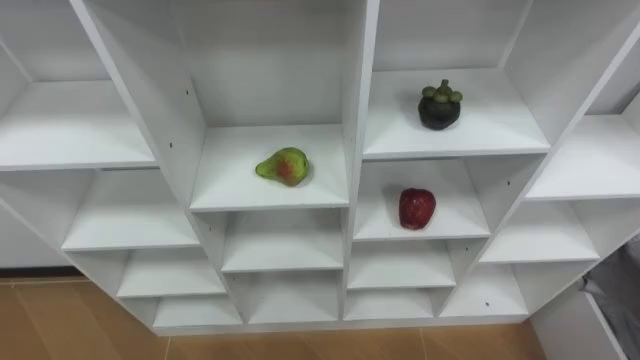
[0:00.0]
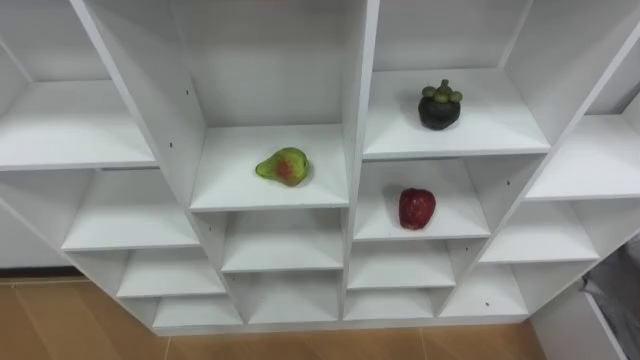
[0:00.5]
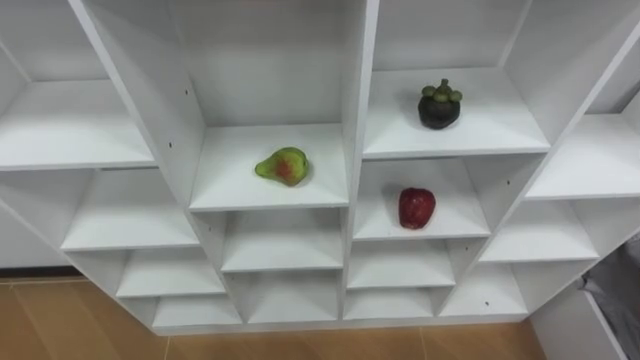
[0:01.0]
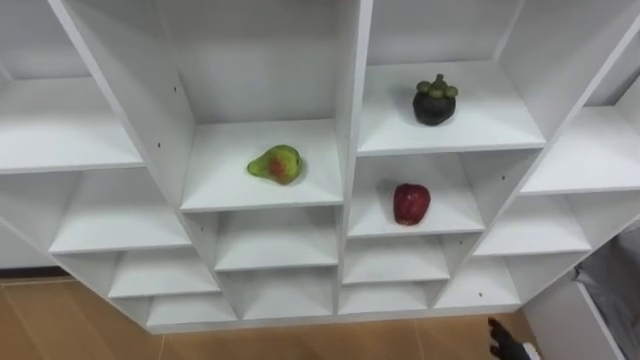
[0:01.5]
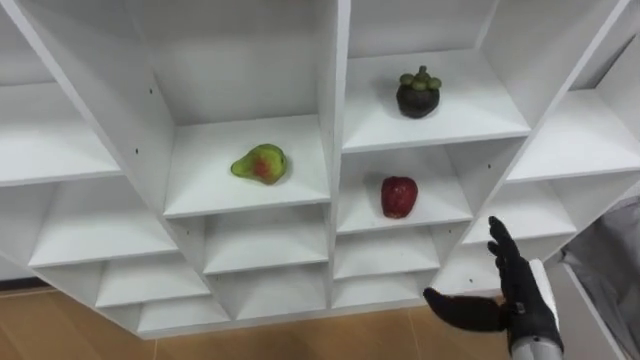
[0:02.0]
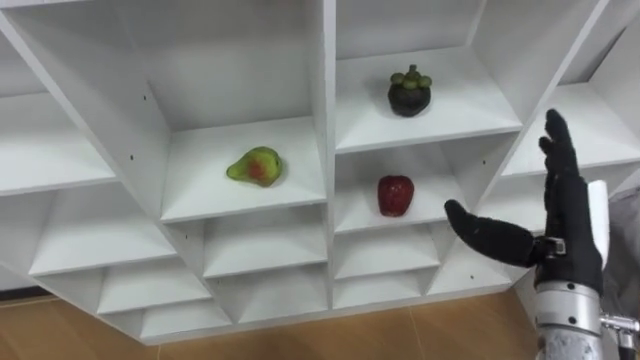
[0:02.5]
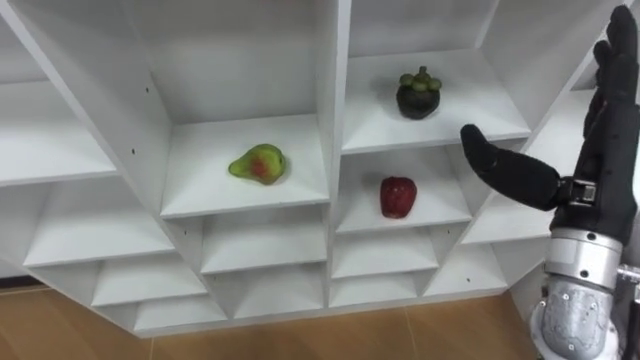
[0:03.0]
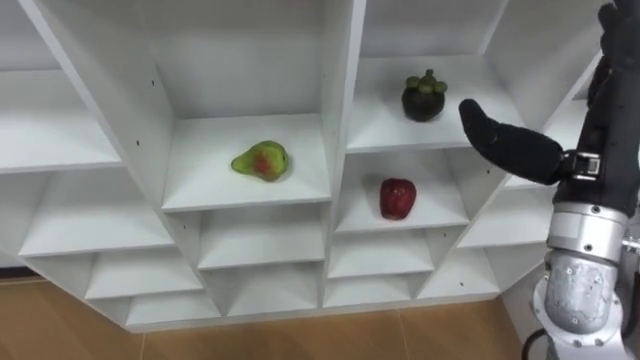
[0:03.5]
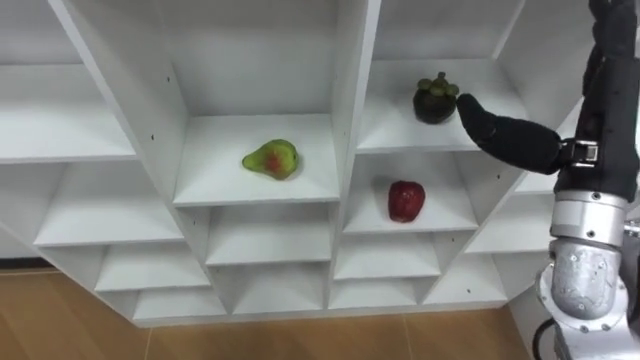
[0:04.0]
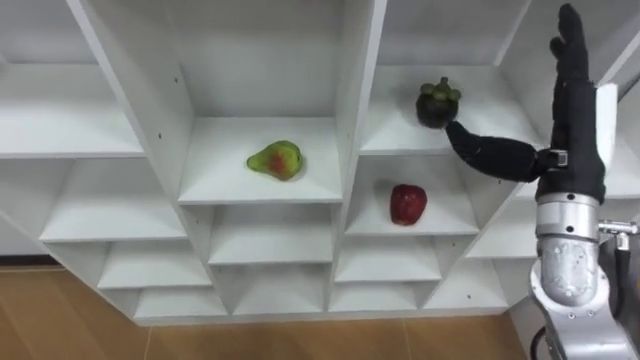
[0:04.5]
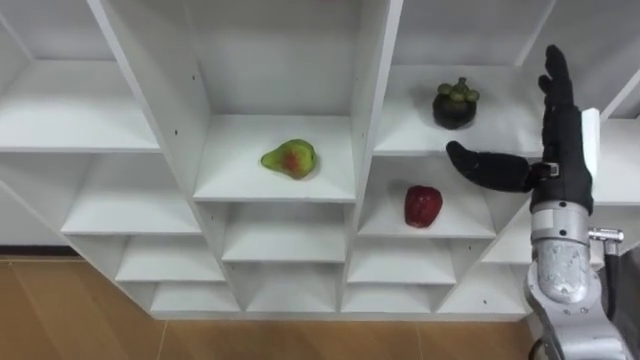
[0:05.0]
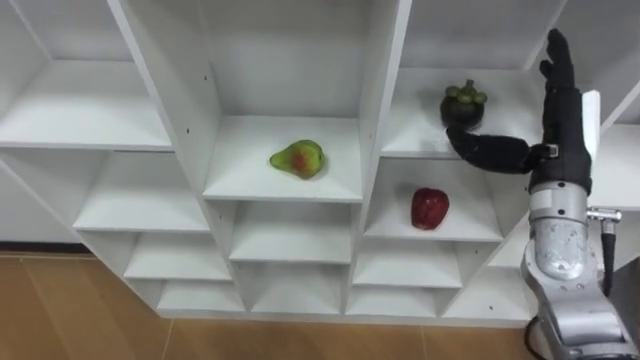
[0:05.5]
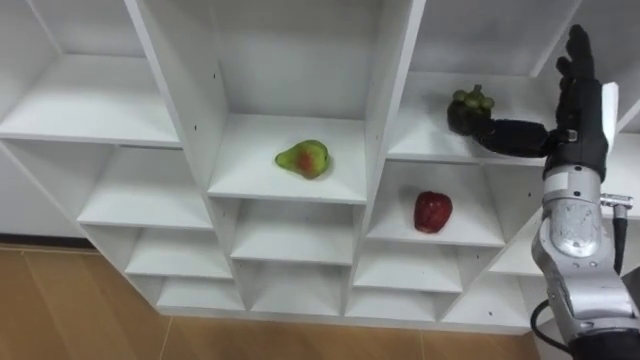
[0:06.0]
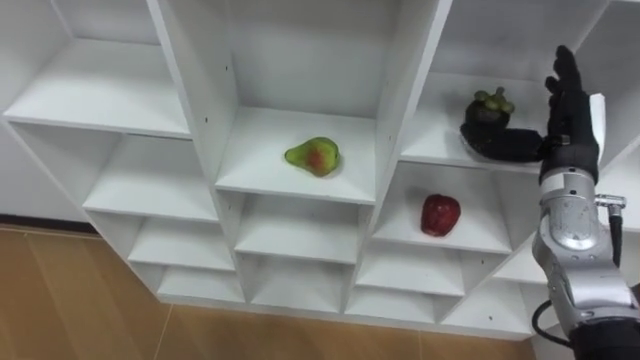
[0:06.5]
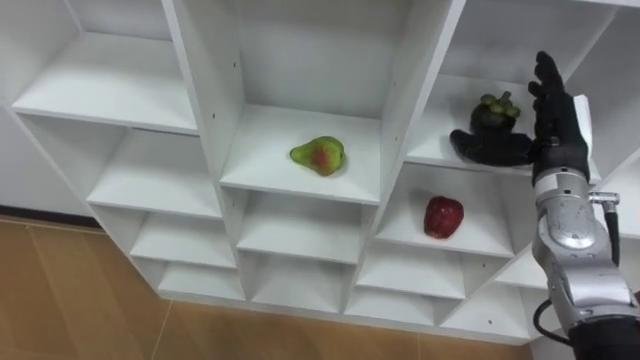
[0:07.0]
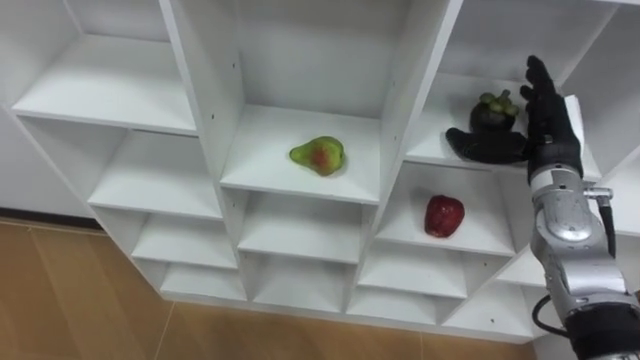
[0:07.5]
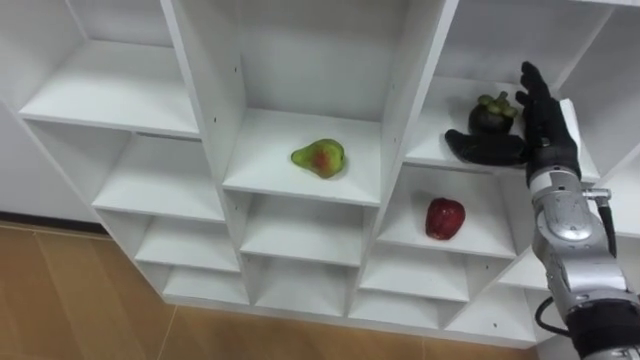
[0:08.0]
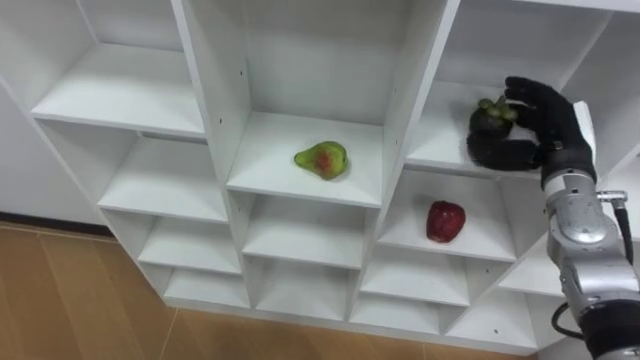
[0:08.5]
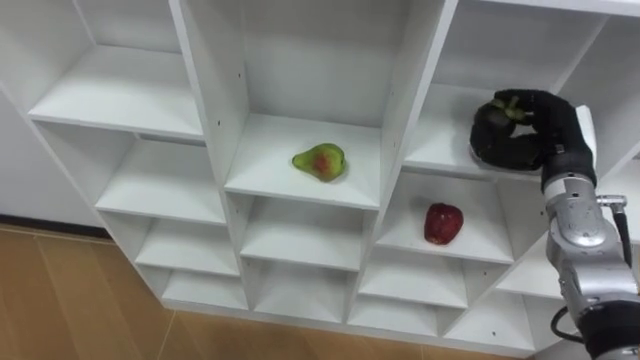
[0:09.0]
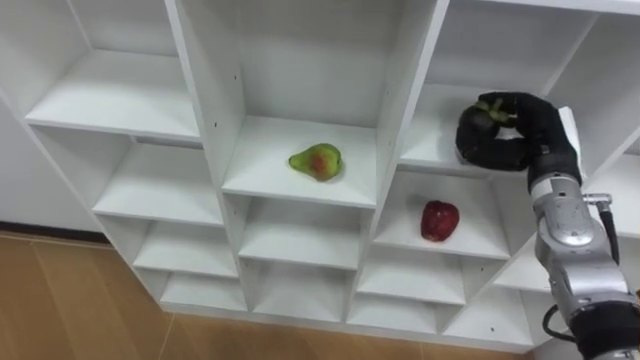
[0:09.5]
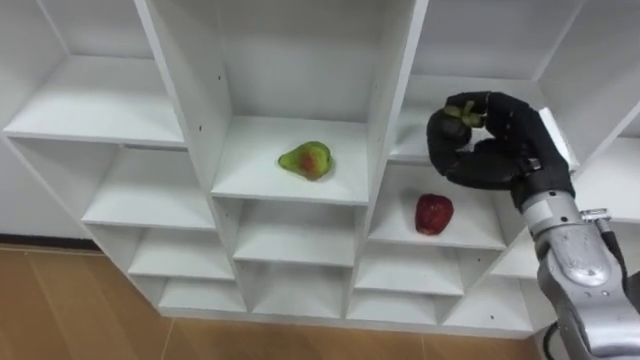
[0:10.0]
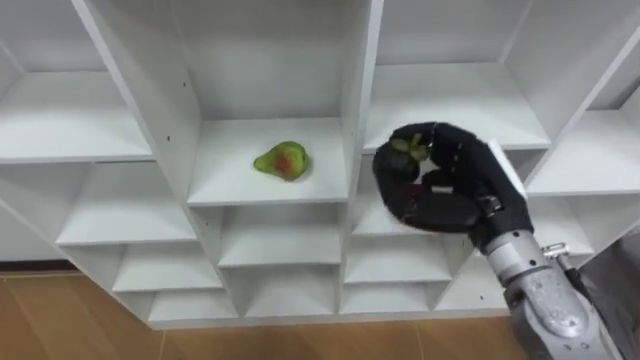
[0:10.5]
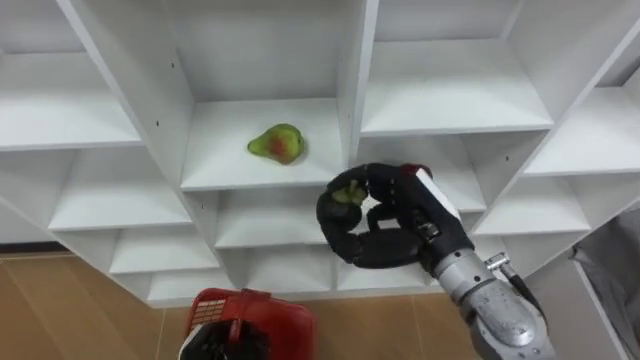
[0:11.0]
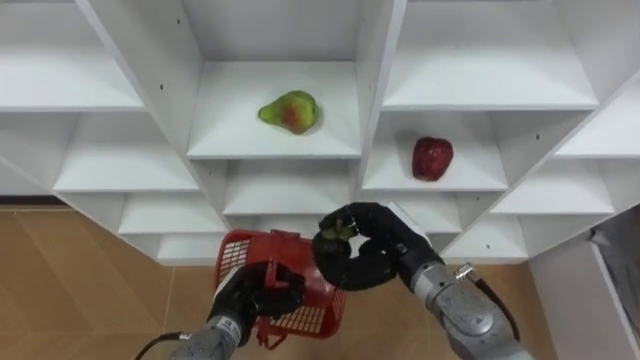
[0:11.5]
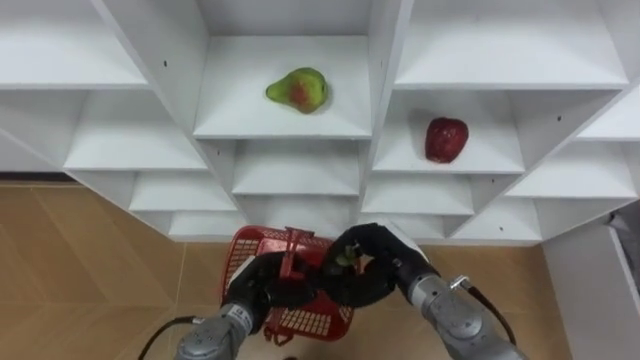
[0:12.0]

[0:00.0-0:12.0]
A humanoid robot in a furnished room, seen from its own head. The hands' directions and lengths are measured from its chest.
Task of the whole recording: Hold the basket and collect the fruits from 3 different cells of the closet into it.
0:02.0 to 0:04.0: The right hand travels upward by some 25 cm.
0:04.0 to 0:06.0: The right hand is displaced downward and forward by some 10 cm.
0:06.0 to 0:08.0: The right hand moves roughly 5 cm.
0:08.0 to 0:10.0: The right hand changes place by some 5 cm, and closes its fingers.
0:10.0 to 0:12.0: The right hand is displaced to the left and downward by approximately 20 cm.

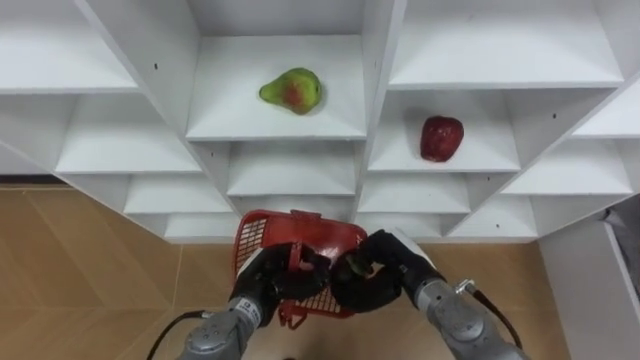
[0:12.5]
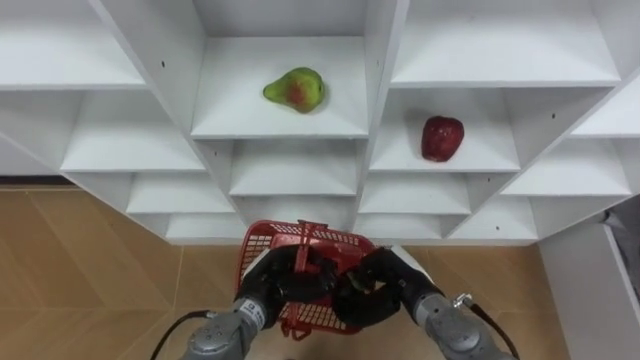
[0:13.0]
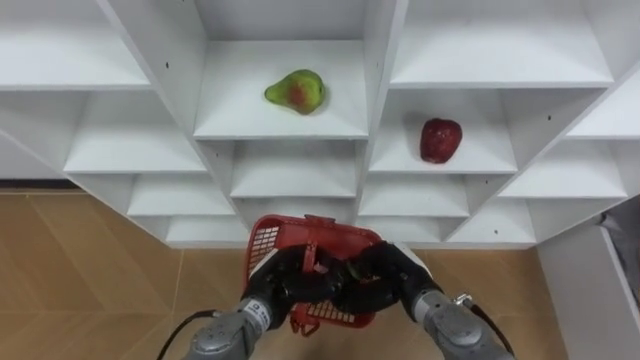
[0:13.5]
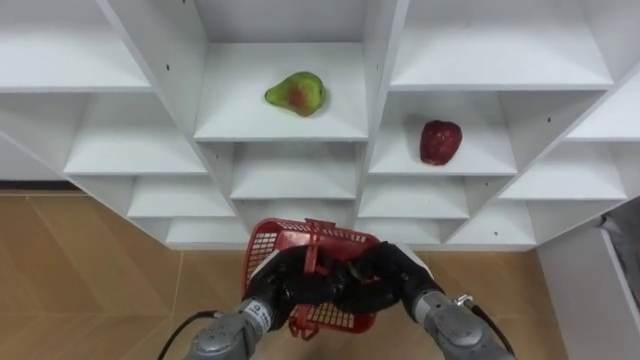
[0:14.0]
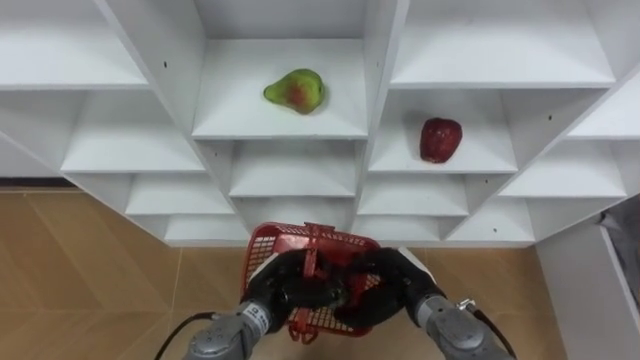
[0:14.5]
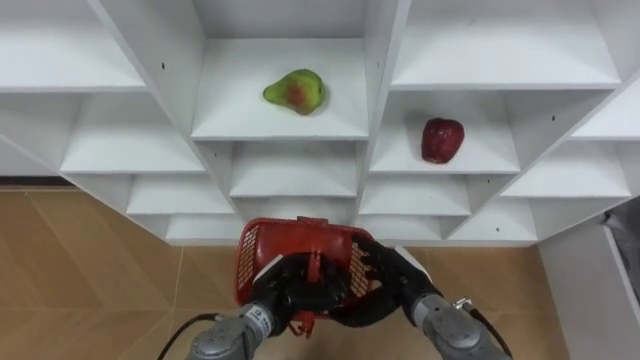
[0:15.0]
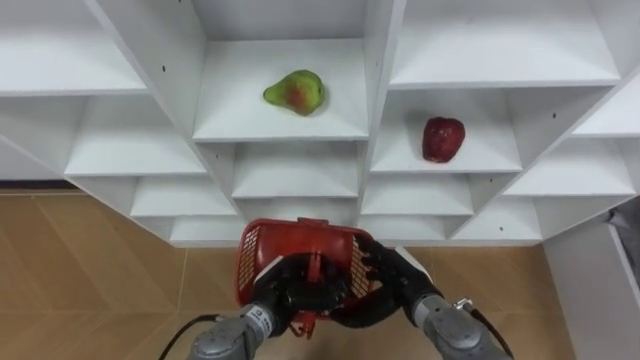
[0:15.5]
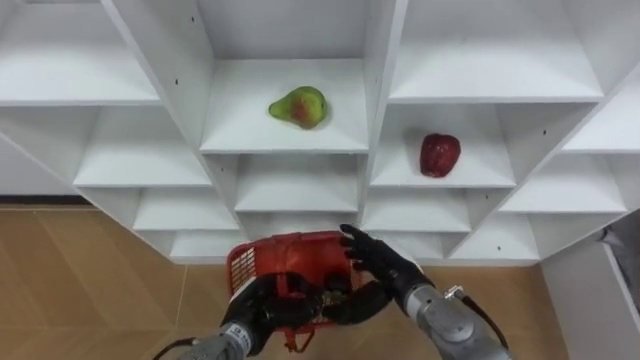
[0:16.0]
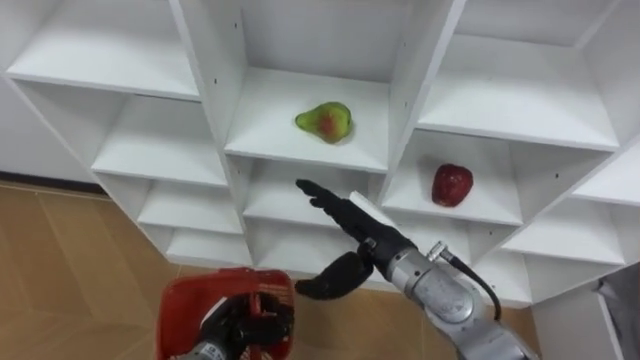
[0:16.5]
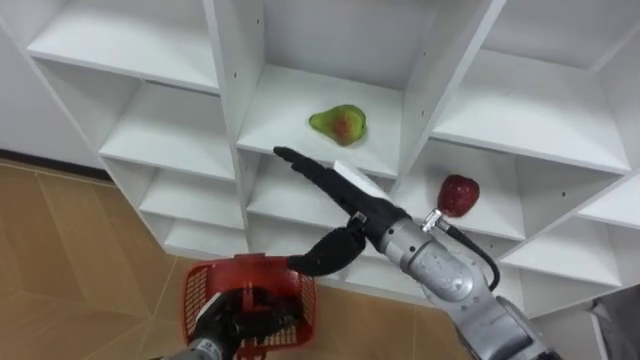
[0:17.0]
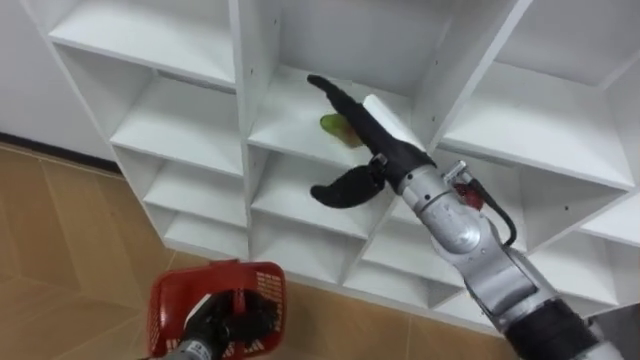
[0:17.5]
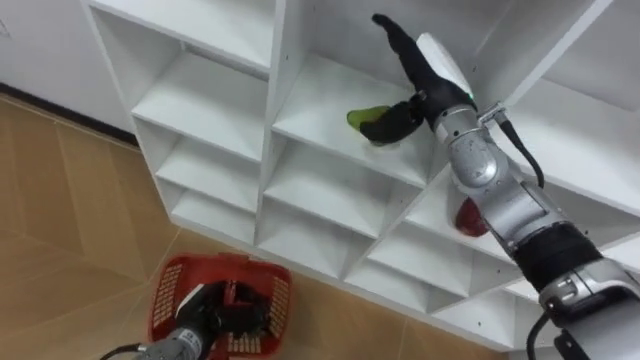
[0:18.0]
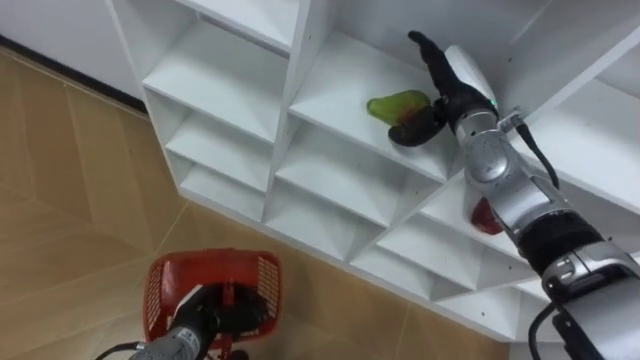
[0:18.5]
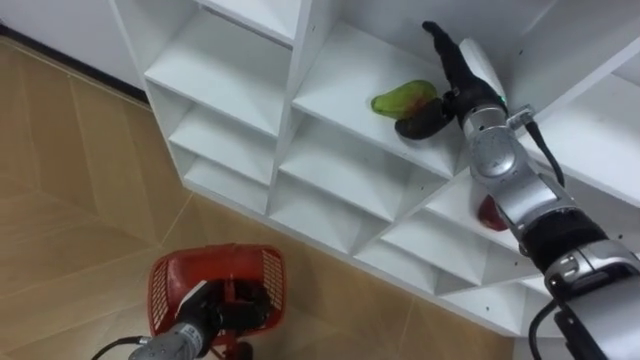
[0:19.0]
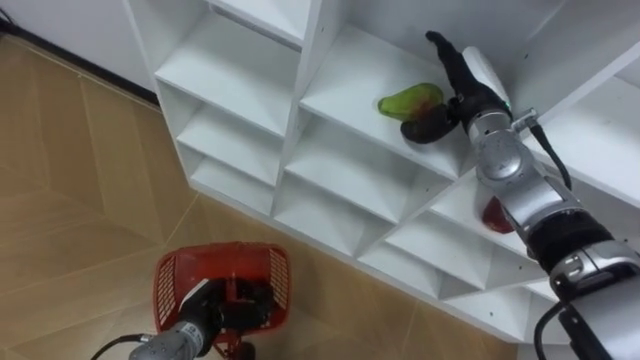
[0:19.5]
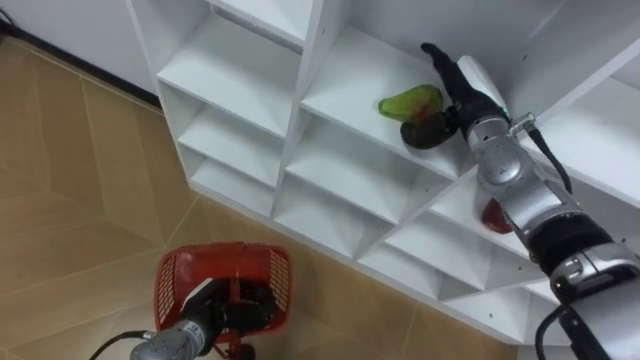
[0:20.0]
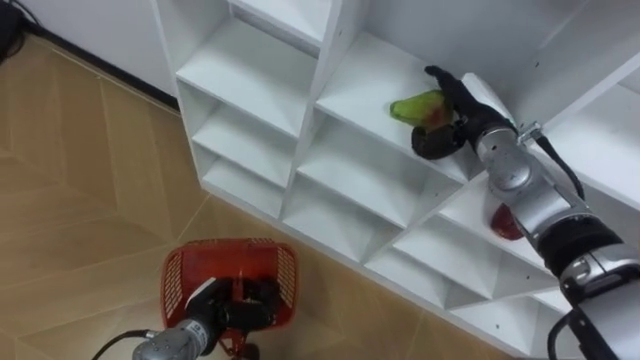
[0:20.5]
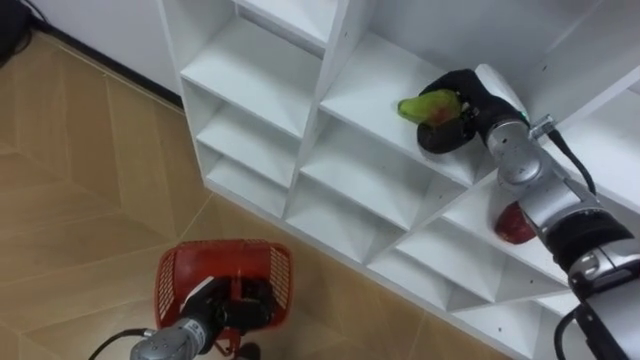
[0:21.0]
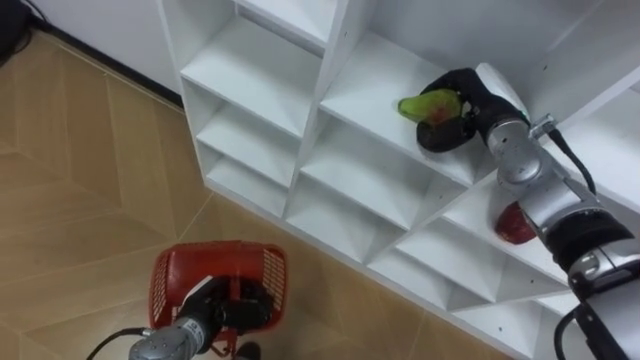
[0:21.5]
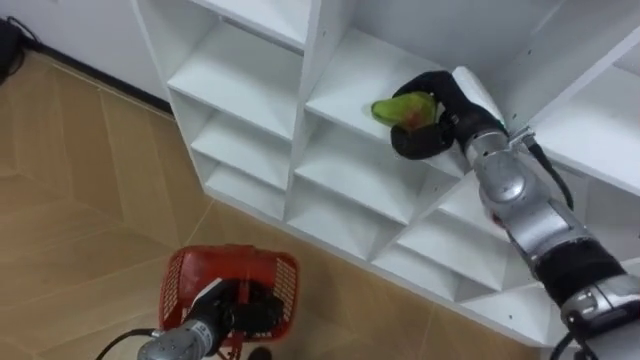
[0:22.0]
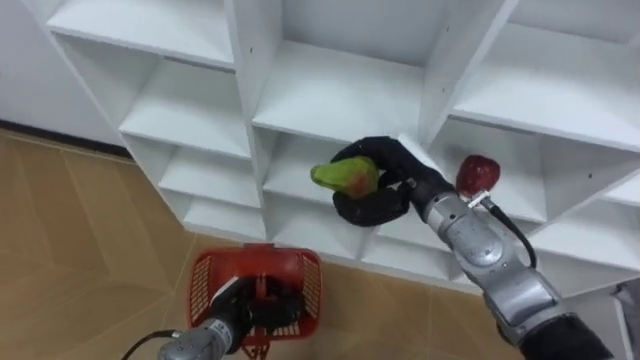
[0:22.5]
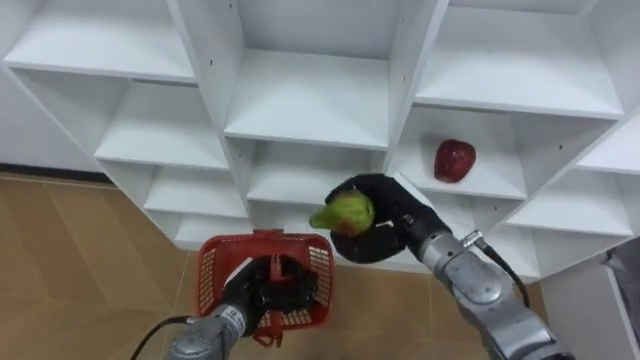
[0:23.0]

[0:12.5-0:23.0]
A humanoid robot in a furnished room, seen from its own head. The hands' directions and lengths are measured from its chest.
Task of the whole recording: Hold the basket and collect the fruits from 3 different cells of the closet into it.
0:12.5 to 0:14.5: The hands make only small movements.
0:14.5 to 0:16.5: The right hand moves upward and to the left, approximately 10 cm, and opens up. Meanwhile the left hand goes roughly 10 cm to the left and downward.
0:16.5 to 0:19.0: The right hand travels forward, to the right and upward by some 20 cm.
0:19.0 to 0:21.0: The right hand closes its fingers.
0:21.0 to 0:23.0: The left hand goes roughly 5 cm to the right. The right hand is displaced backward, to the left and downward by some 15 cm.
